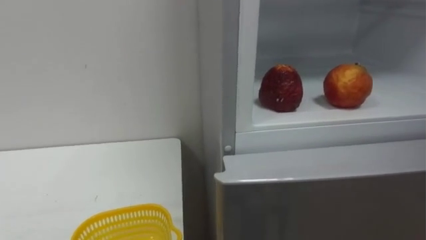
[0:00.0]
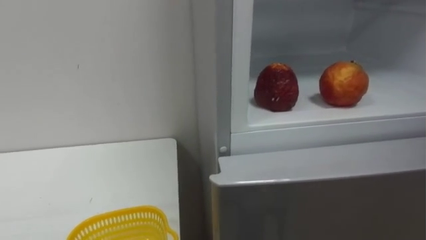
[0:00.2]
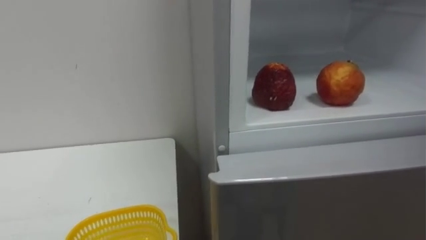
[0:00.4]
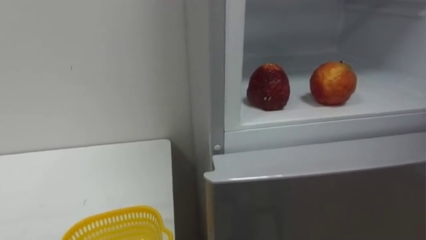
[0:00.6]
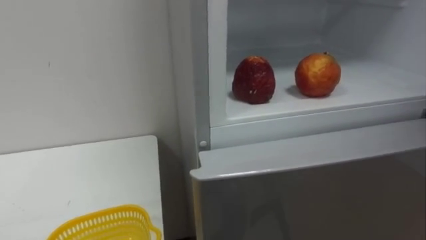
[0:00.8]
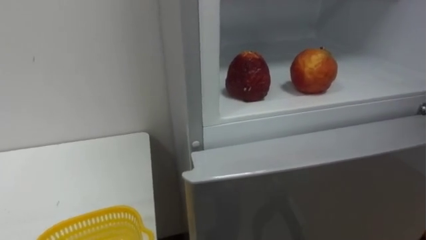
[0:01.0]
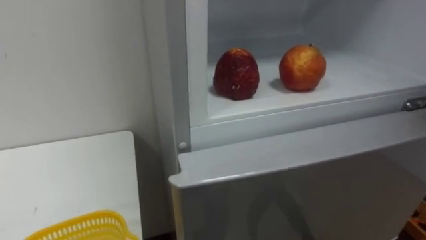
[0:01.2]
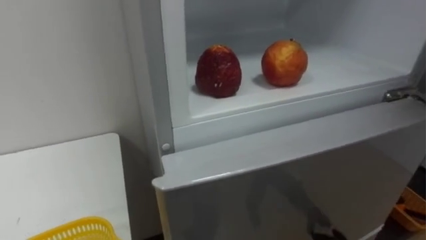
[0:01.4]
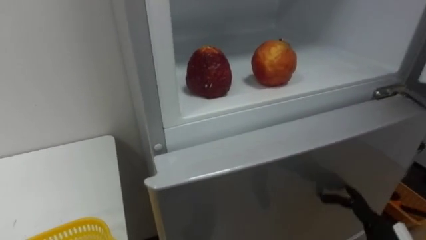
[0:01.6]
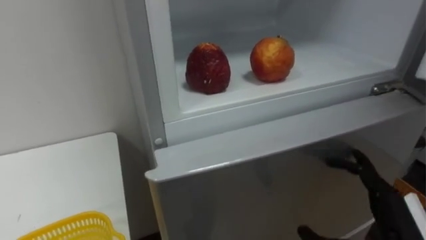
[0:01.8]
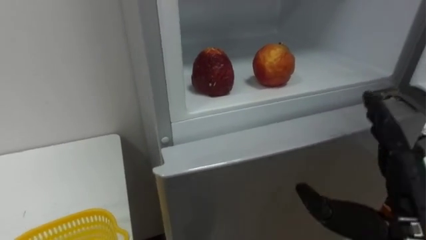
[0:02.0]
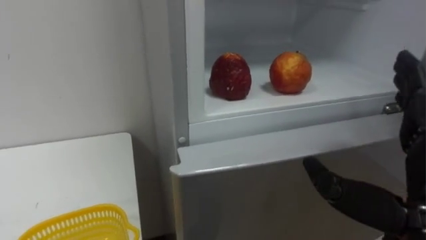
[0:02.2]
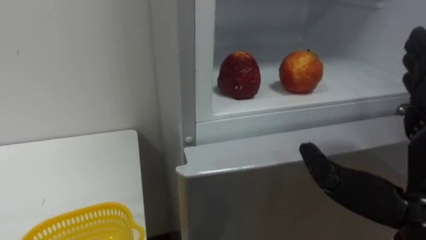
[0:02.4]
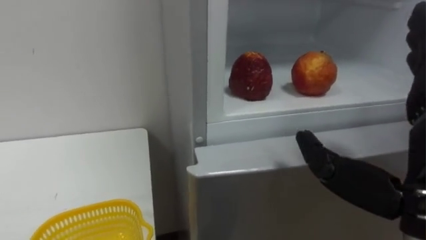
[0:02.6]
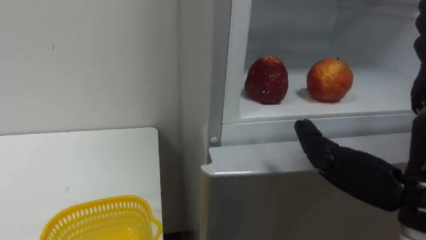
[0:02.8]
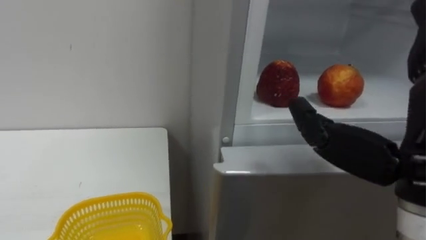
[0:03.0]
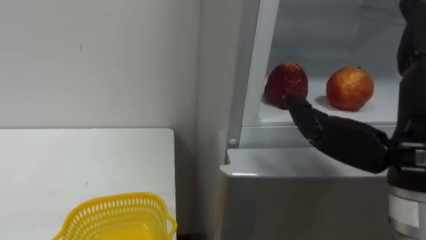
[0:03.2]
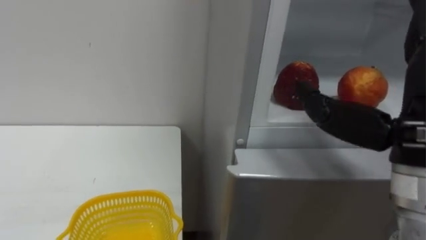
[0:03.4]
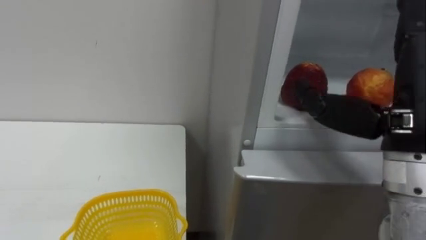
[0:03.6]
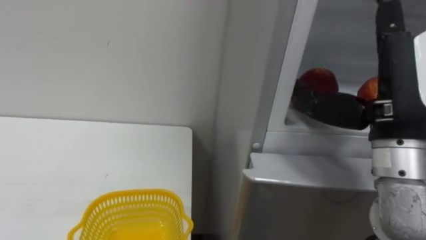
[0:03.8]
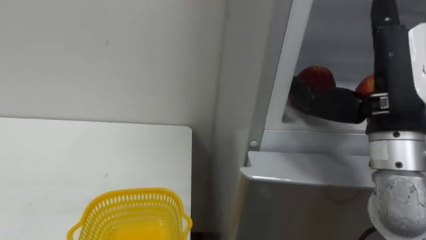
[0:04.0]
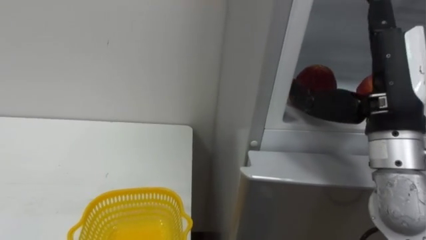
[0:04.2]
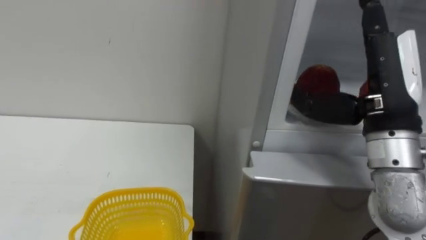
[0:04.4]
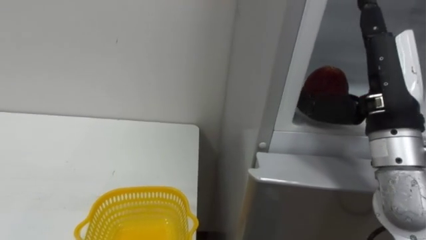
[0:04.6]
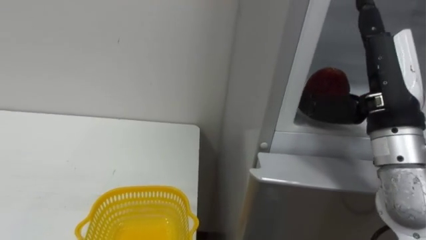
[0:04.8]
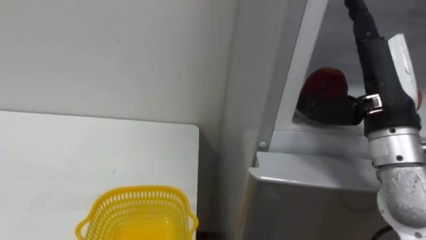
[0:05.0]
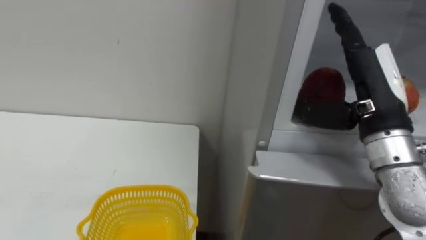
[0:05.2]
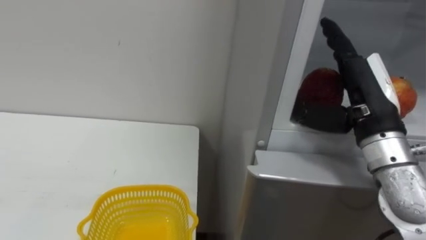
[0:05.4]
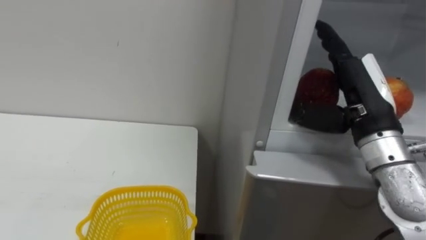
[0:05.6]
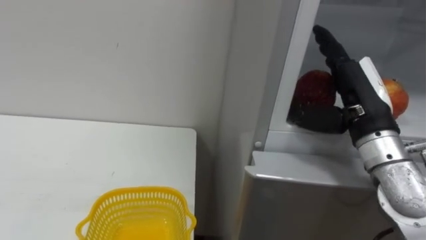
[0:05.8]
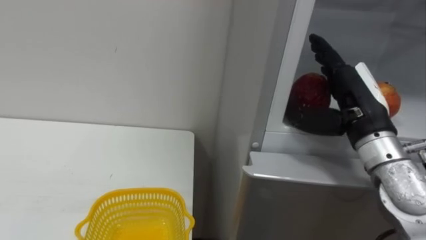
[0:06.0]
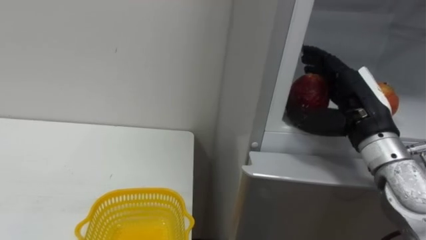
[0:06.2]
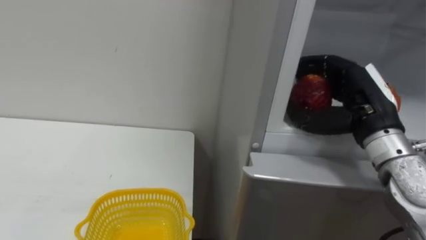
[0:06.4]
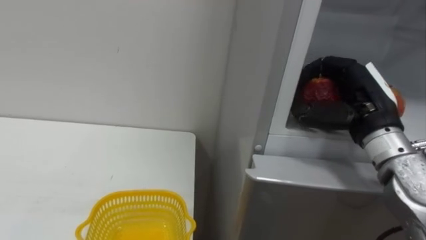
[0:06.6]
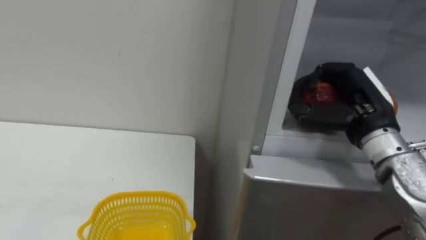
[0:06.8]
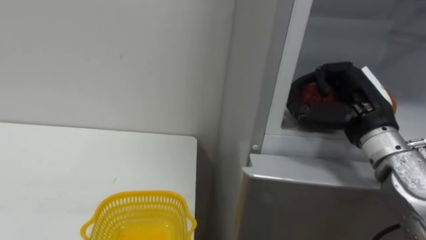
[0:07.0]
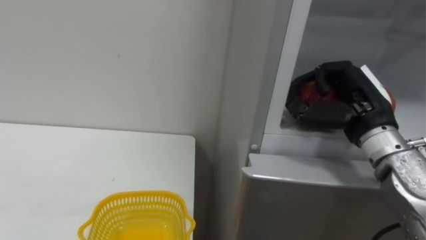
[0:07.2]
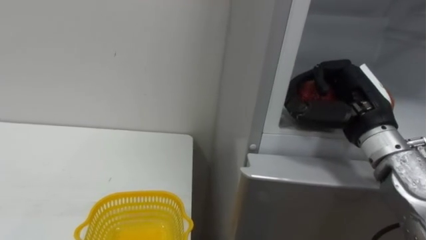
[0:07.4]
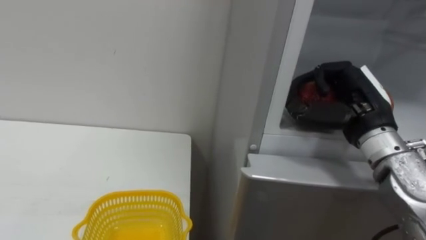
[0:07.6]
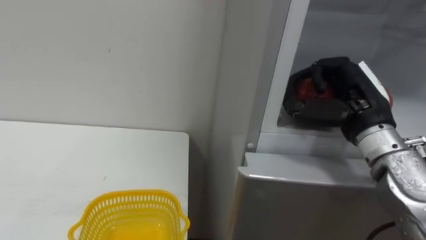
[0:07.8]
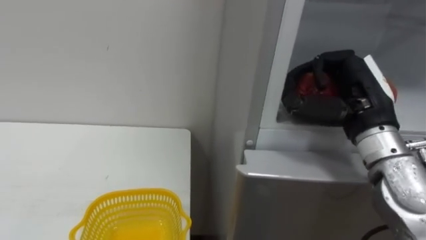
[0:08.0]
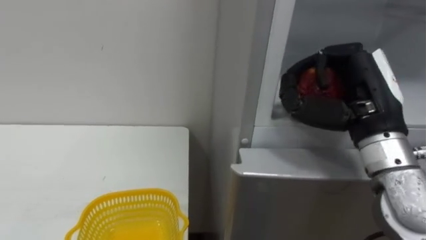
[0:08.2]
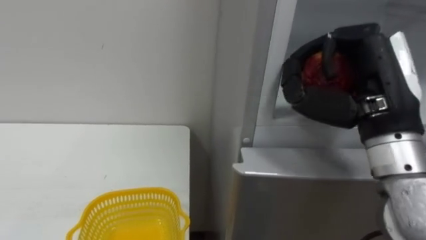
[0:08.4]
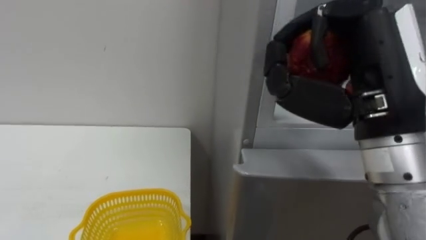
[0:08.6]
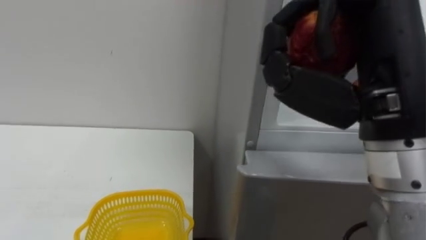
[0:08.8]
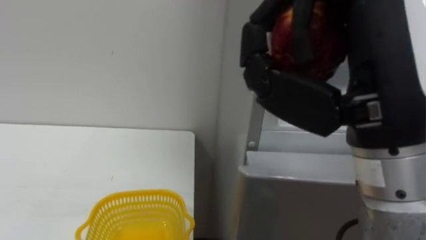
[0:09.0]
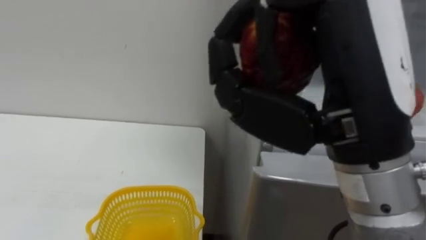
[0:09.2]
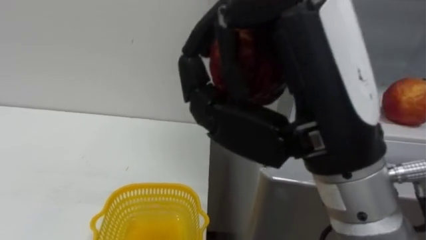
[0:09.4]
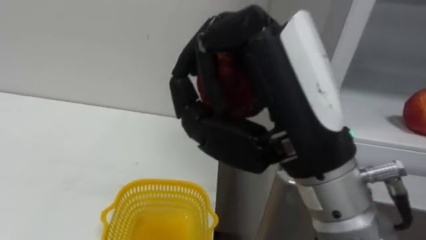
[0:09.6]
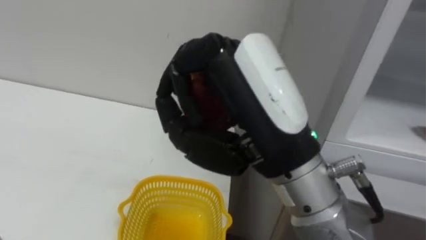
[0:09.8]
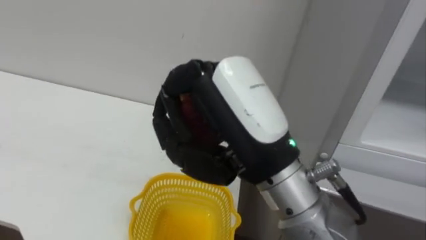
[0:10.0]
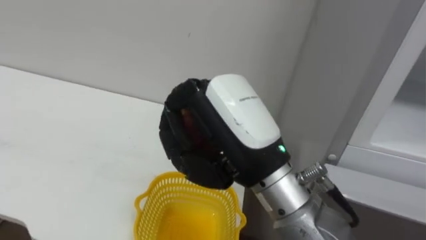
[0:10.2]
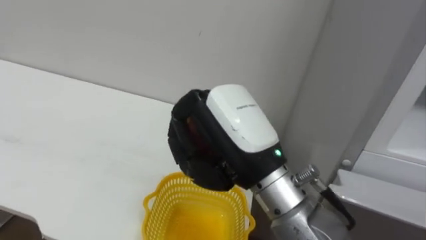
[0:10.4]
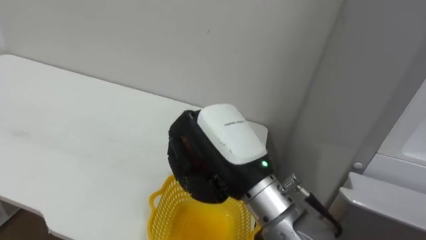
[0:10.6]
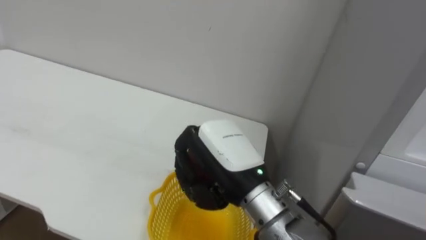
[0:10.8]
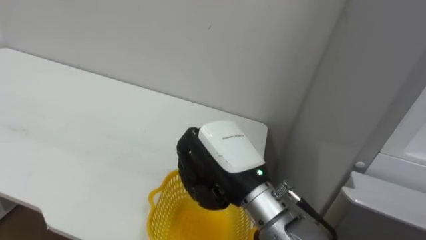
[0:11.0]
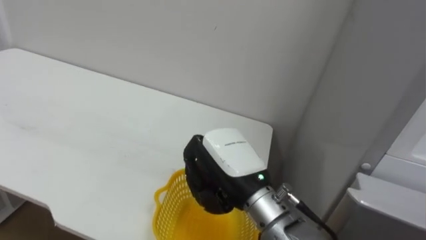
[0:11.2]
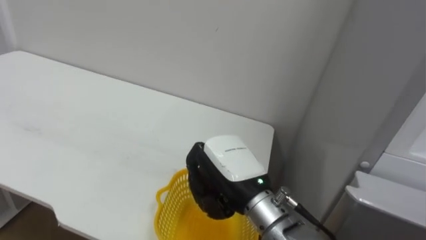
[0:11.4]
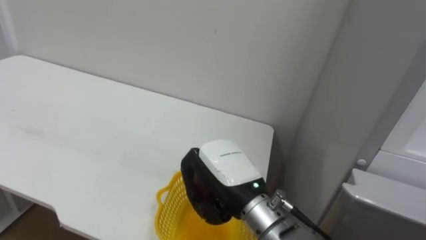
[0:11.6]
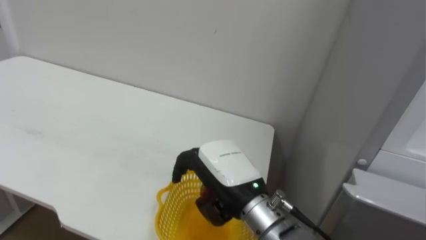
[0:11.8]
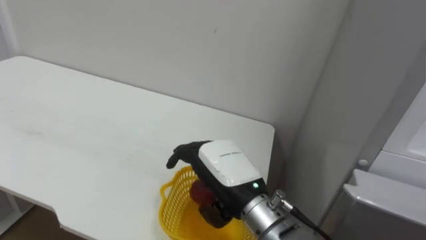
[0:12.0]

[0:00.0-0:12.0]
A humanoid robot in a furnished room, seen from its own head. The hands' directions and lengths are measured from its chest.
Task of the whole recording: Open the refrigerator door, take out the apple and the pomegranate, place them in the fruit basket on the left, and close the refrigerator door.
0:03.0 to 0:04.4: The right hand is displaced forward by about 10 cm.
0:04.4 to 0:06.0: The right hand heads downward, covering roughly 5 cm.
0:06.0 to 0:07.6: The right hand closes its fingers.
0:07.6 to 0:09.0: The right hand moves backward, upward and to the left, about 20 cm.
0:09.0 to 0:10.4: The right hand heads to the left, downward and forward, covering some 15 cm.
0:10.4 to 0:12.0: The right hand is displaced downward by roughly 10 cm, and opens up.

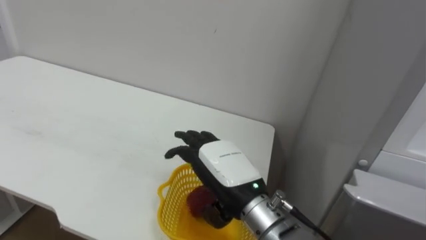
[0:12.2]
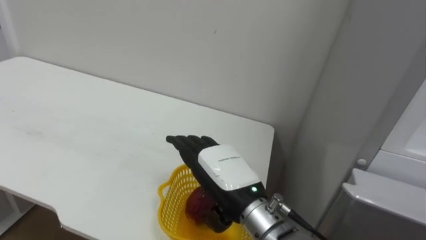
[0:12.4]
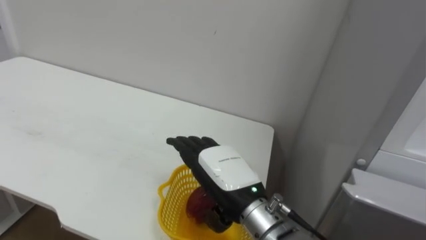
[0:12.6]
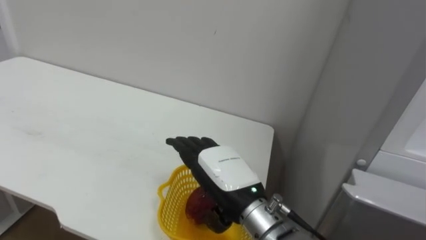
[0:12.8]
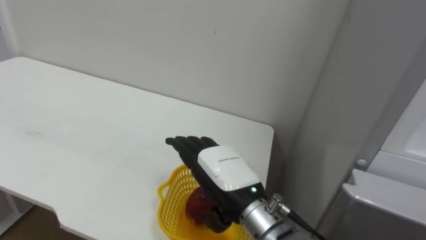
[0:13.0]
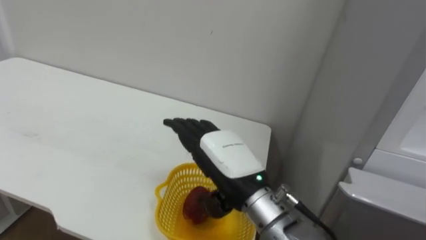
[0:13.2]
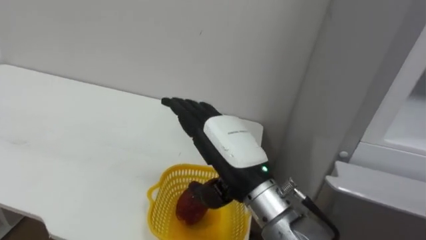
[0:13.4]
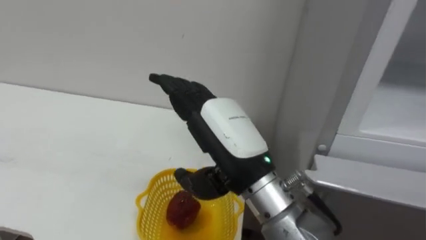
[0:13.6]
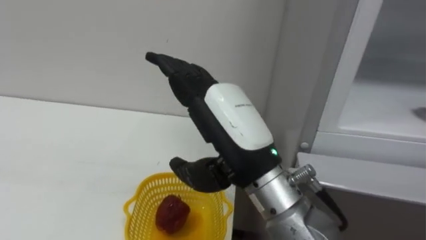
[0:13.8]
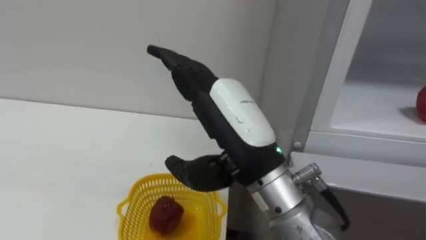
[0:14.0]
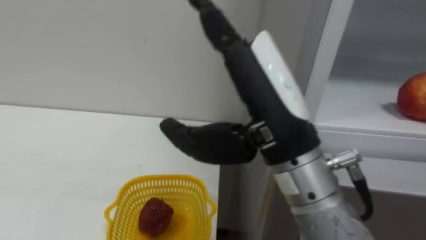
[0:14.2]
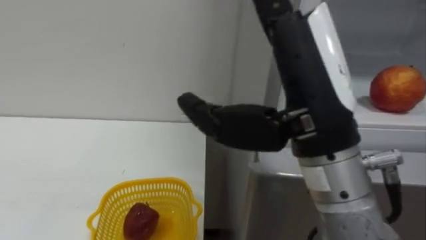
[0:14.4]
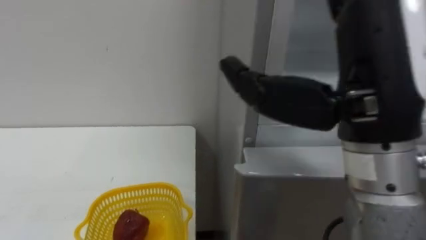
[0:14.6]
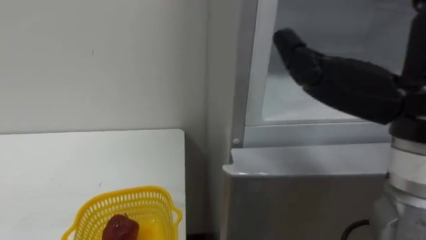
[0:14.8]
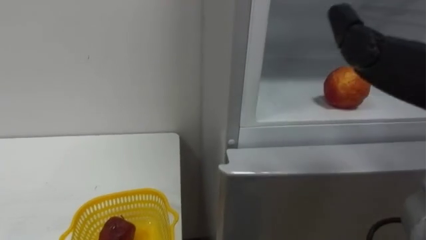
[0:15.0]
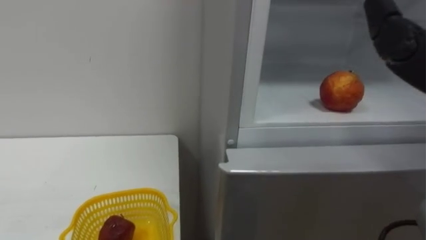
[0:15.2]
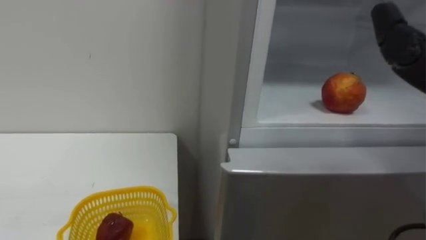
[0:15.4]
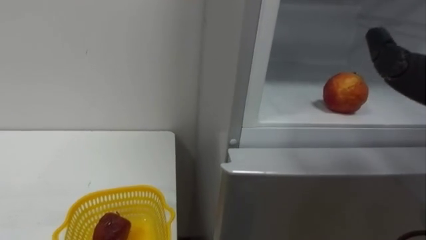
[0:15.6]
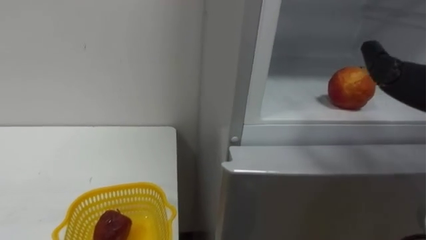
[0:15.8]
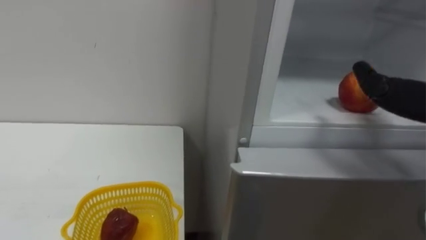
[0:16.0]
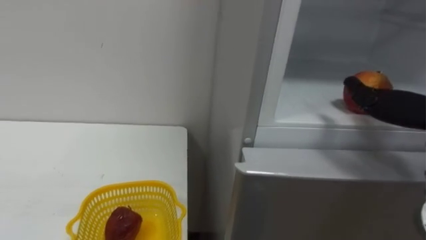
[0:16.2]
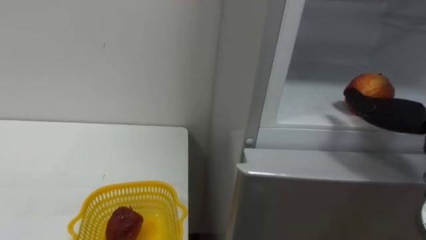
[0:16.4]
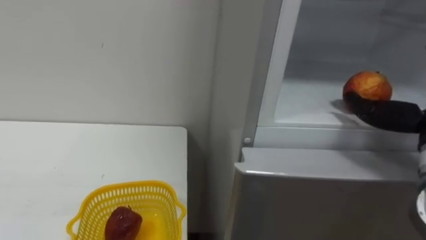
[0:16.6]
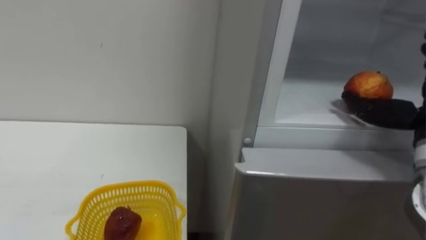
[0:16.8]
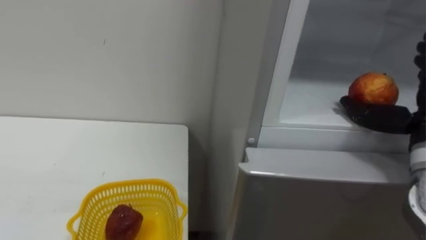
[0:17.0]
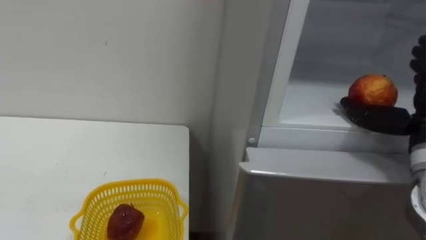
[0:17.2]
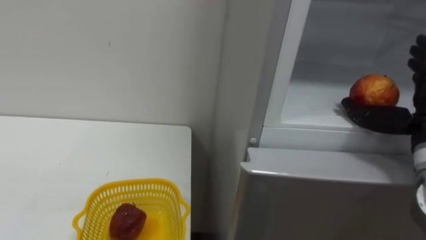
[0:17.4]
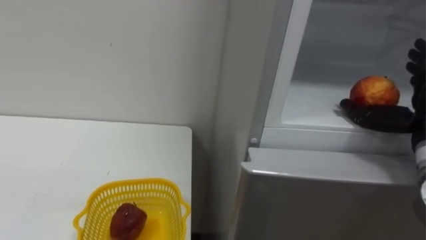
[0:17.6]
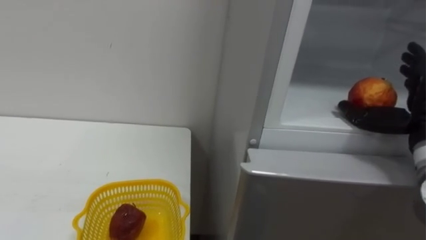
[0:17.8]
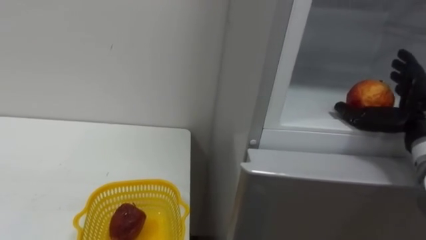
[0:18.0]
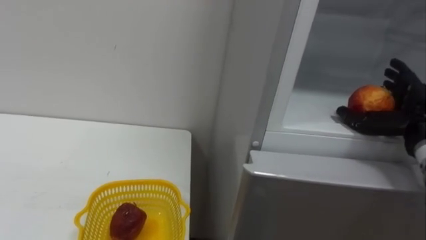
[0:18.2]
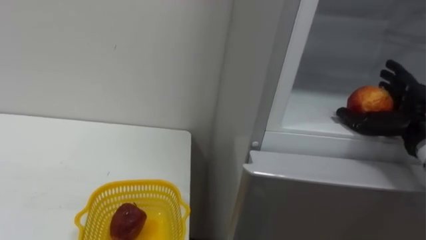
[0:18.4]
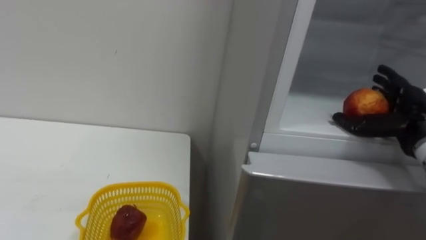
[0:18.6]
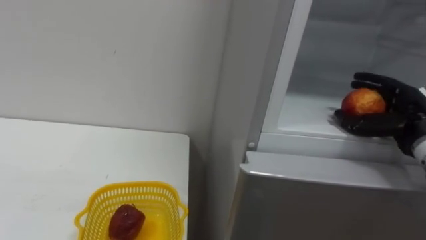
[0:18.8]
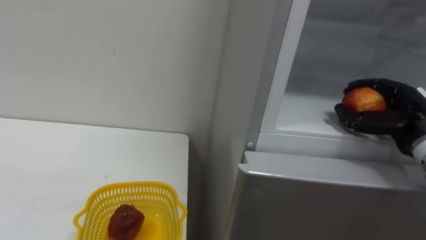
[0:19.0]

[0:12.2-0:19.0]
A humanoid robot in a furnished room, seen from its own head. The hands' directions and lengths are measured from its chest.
Task of the whole recording: Open the refrigerator door, take out the apple and the pomegranate, place them in the fruit basket on the left, and close the refrigerator door.
0:12.2 to 0:13.6: The right hand goes some 10 cm upward.
